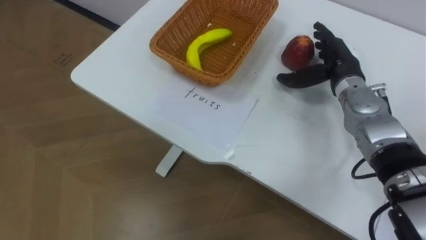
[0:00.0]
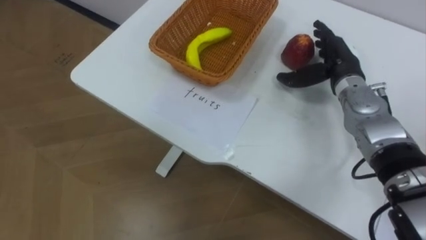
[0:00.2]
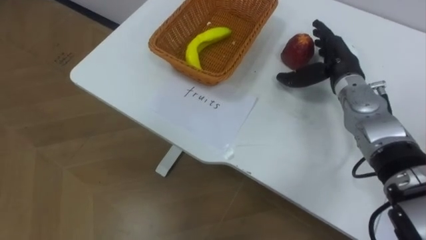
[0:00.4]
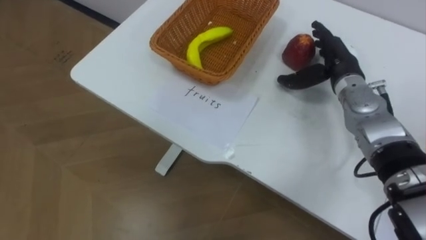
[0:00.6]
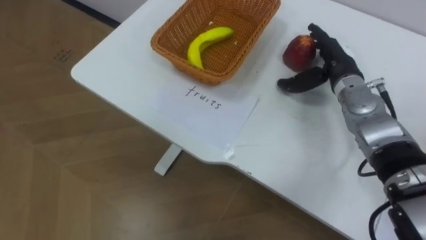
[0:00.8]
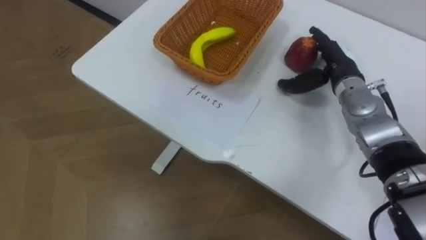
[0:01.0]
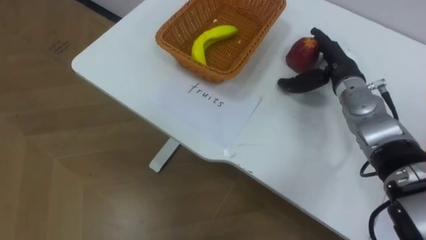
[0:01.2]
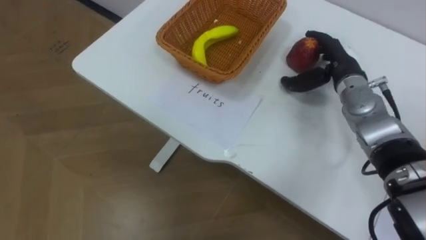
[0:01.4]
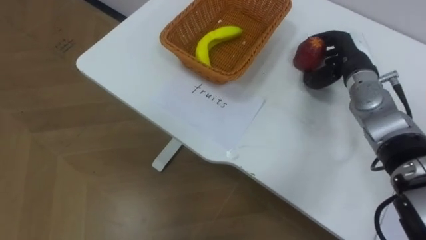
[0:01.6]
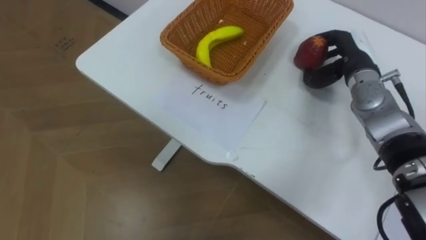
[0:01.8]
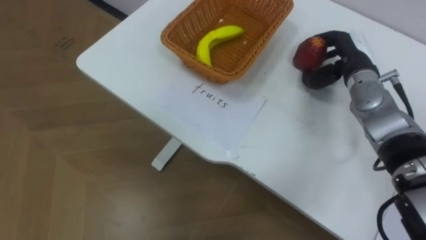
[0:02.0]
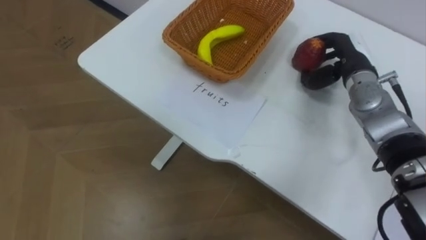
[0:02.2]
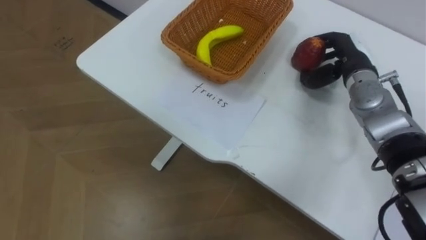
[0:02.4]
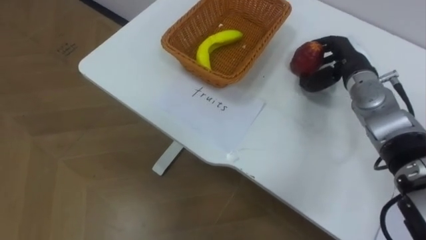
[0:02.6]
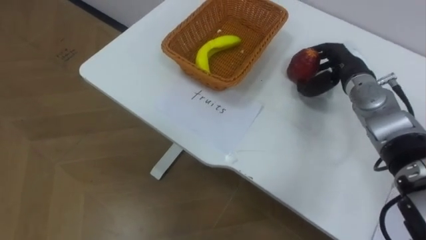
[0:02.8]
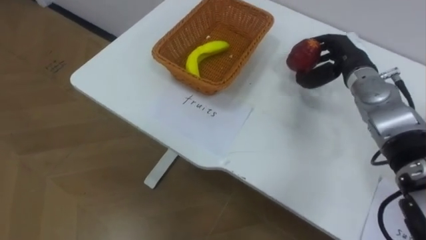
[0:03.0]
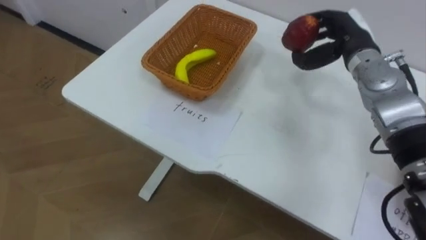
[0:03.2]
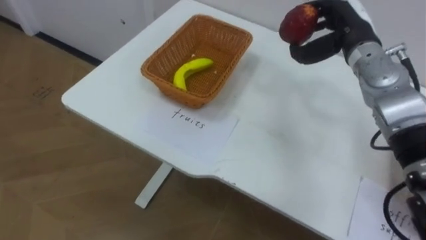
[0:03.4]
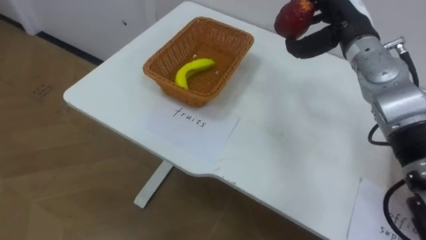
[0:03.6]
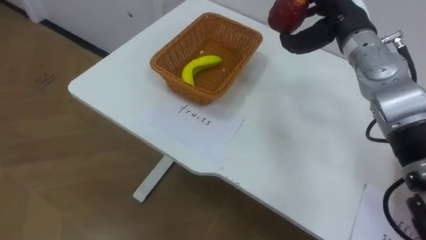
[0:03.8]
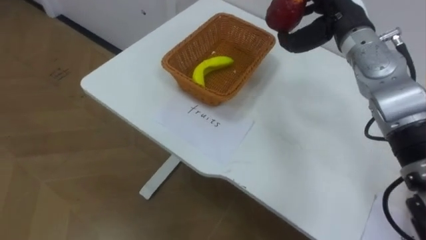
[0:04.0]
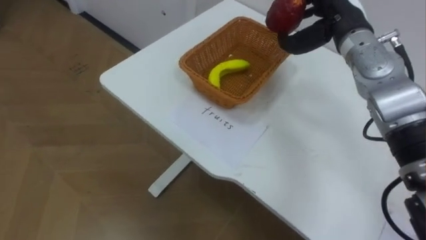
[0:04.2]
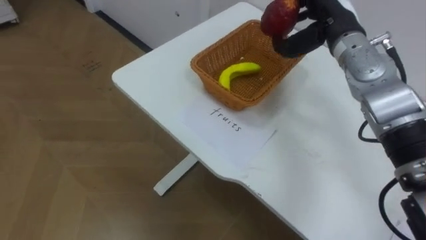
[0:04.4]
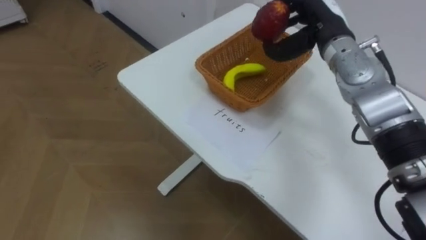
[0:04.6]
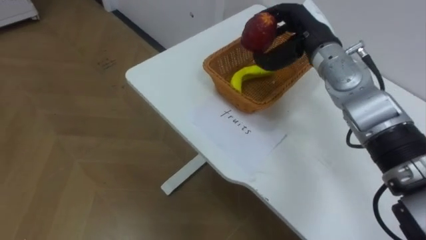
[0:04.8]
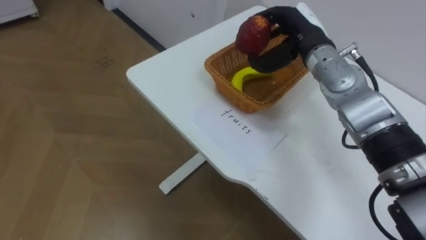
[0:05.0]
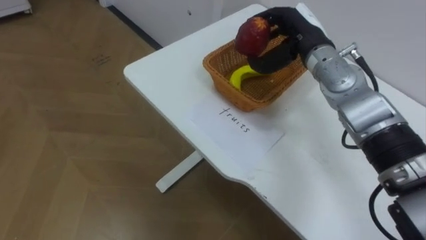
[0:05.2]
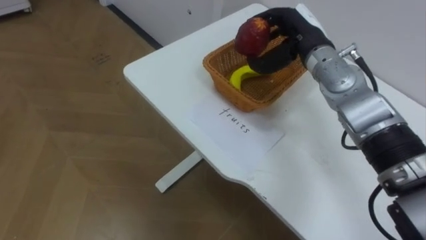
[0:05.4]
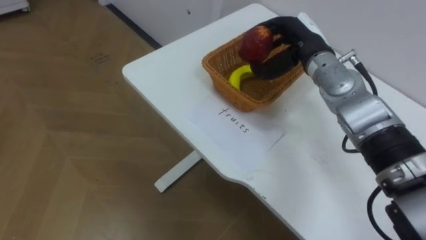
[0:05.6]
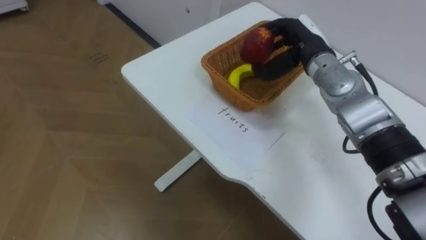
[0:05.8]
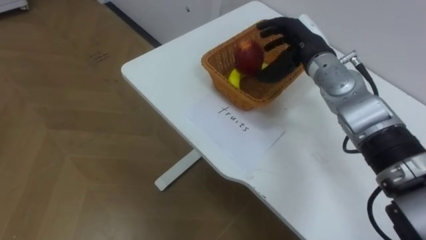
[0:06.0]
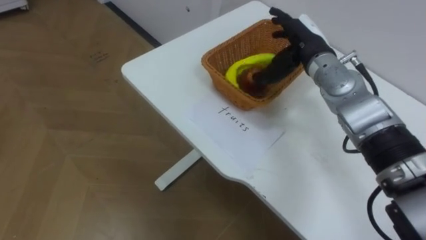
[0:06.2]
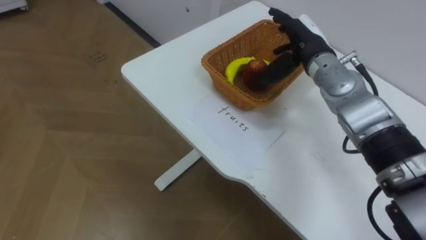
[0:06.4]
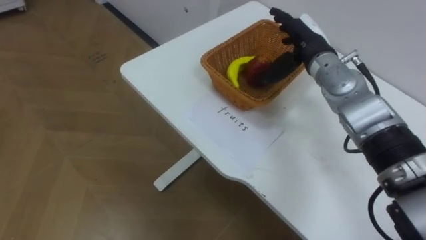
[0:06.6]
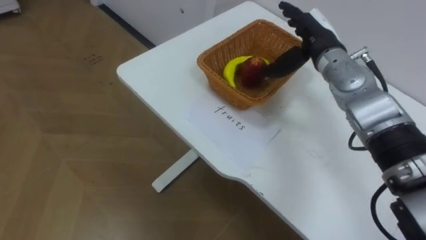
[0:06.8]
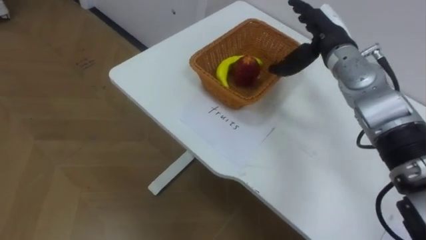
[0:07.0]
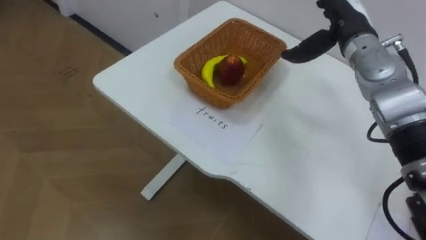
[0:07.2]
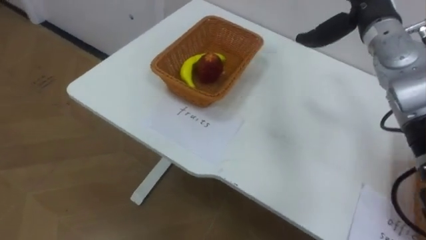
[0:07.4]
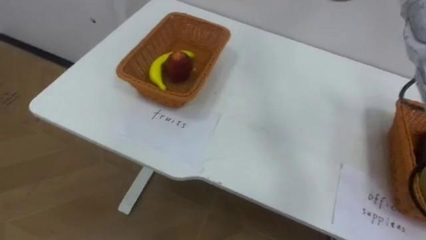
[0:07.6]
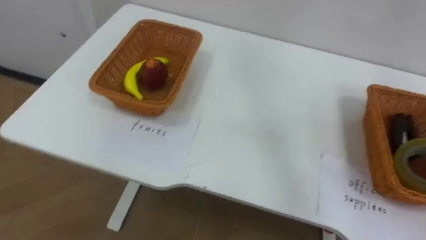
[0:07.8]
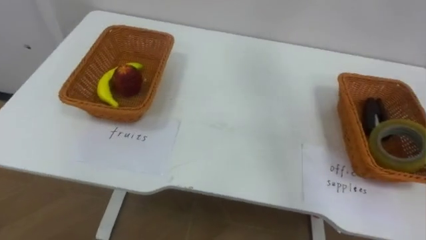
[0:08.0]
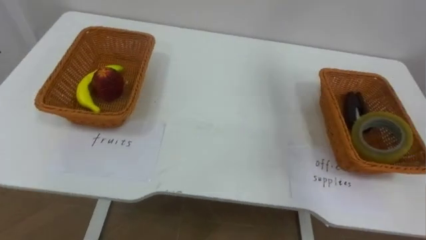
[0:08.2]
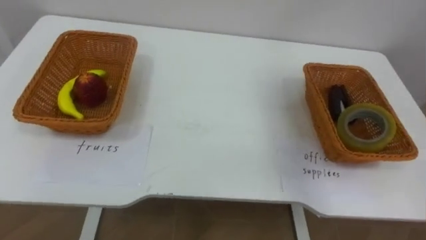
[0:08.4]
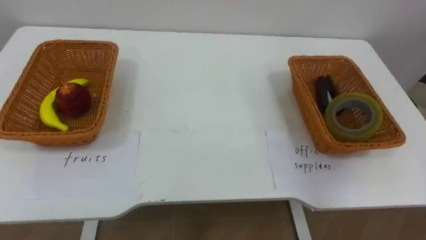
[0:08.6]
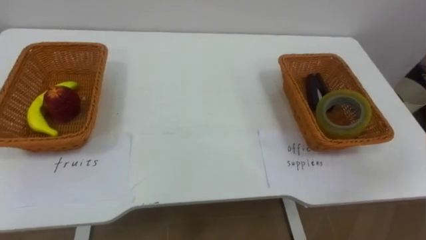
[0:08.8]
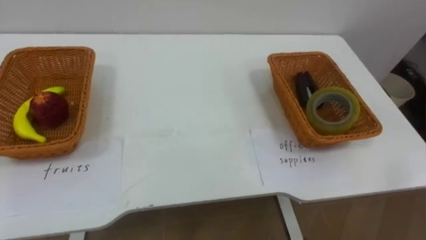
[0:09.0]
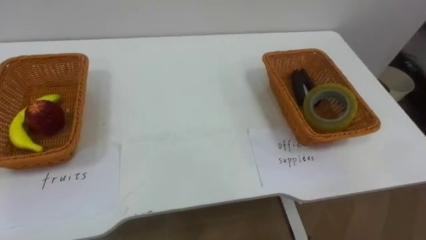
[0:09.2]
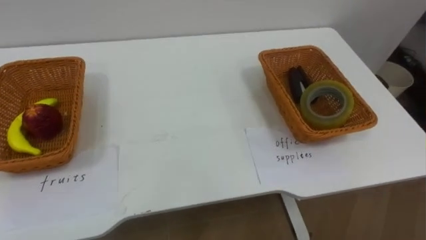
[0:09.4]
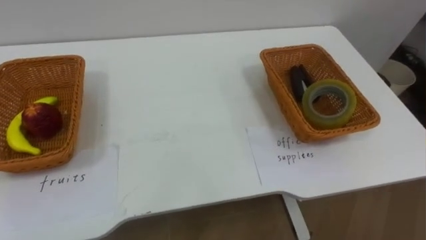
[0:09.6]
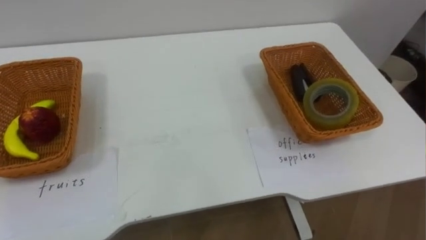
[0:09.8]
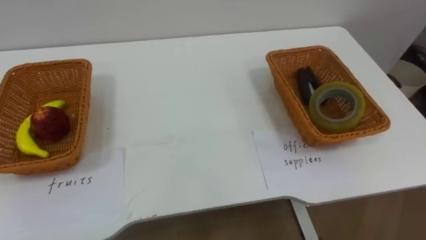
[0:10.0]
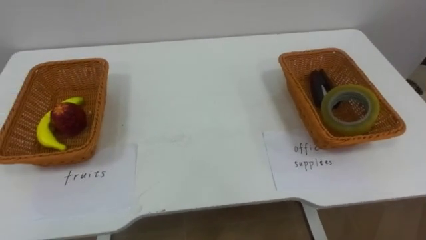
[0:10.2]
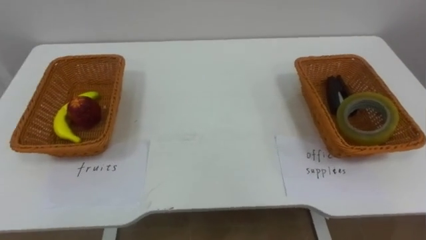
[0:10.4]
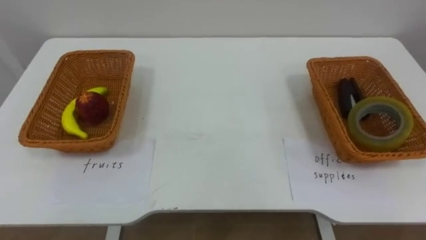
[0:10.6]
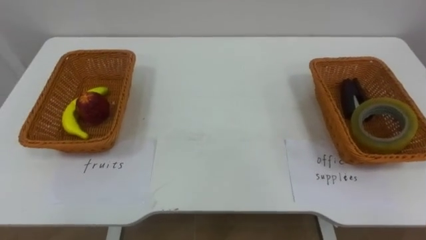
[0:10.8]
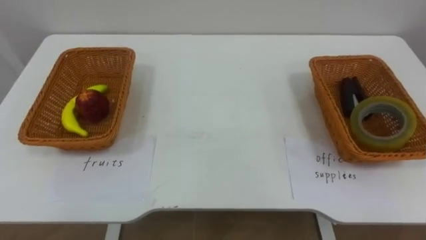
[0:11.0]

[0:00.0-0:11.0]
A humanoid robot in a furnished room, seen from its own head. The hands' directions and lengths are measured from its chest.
Task of the whole recording: Separate the items on the table and place them into the two baskets.
0:00.0 to 0:01.6: The right hand closes up.
0:03.2 to 0:04.8: The right hand shifts some 10 cm to the left.
0:04.8 to 0:06.2: The right hand opens its fingers.

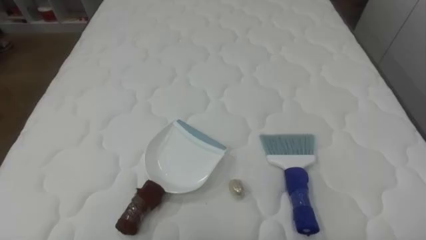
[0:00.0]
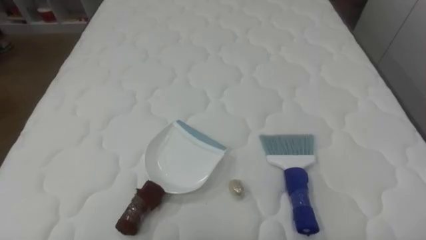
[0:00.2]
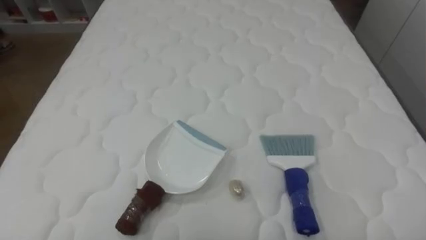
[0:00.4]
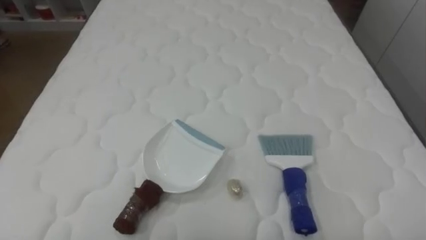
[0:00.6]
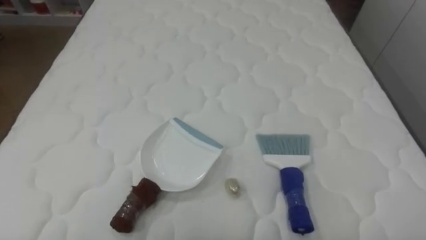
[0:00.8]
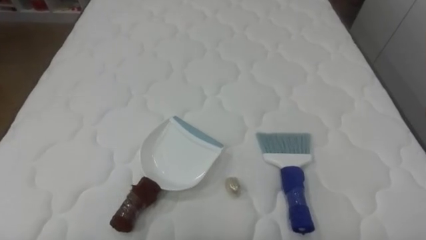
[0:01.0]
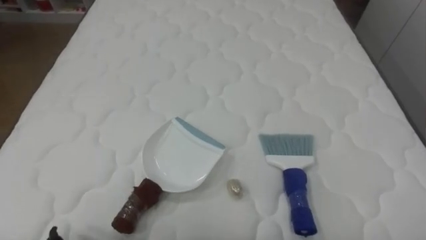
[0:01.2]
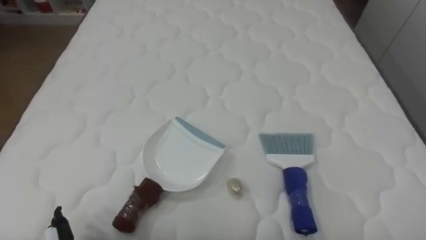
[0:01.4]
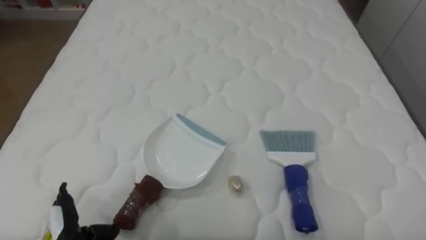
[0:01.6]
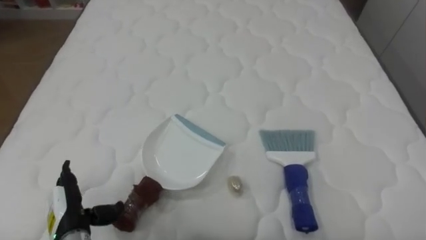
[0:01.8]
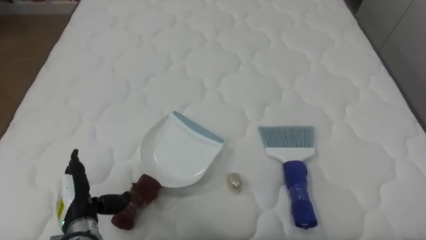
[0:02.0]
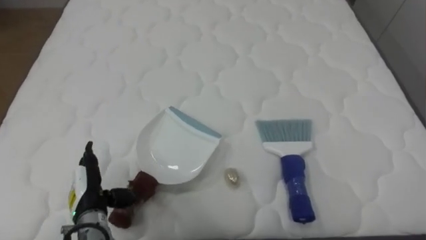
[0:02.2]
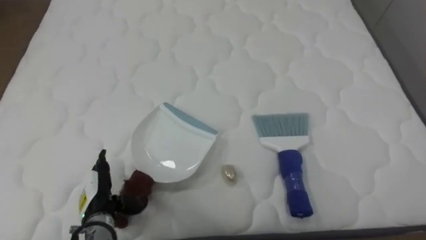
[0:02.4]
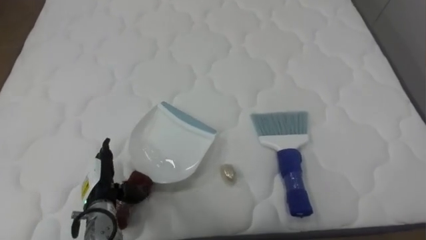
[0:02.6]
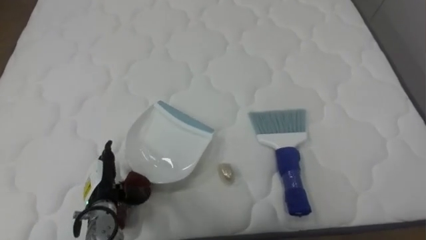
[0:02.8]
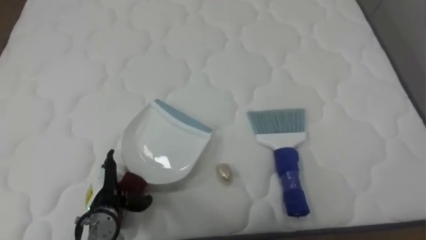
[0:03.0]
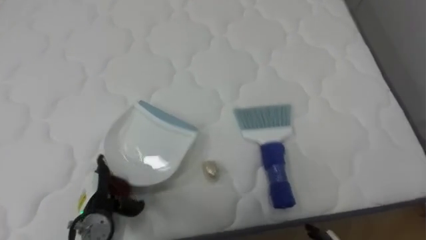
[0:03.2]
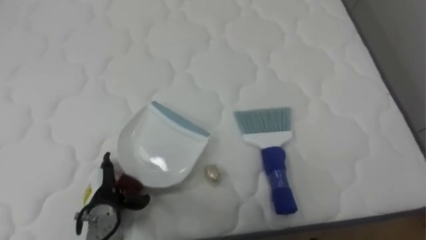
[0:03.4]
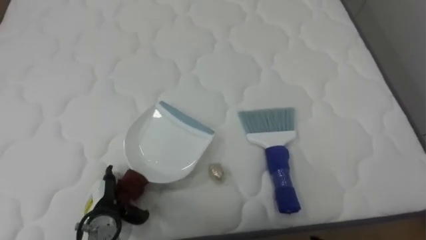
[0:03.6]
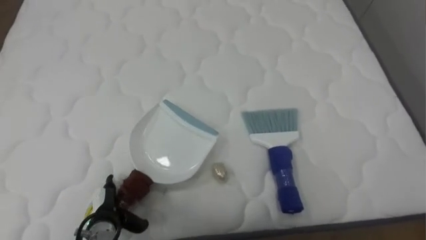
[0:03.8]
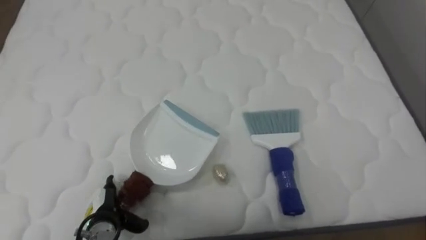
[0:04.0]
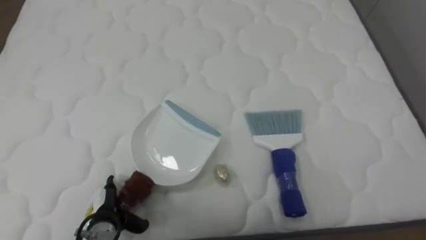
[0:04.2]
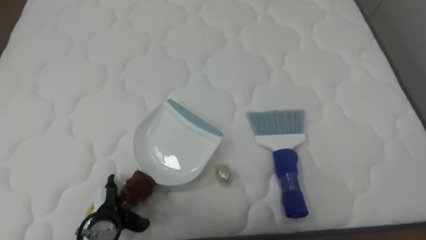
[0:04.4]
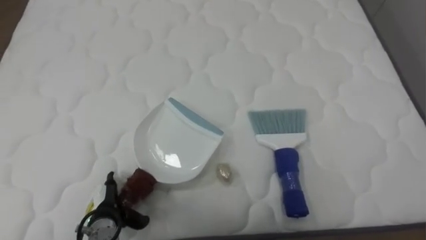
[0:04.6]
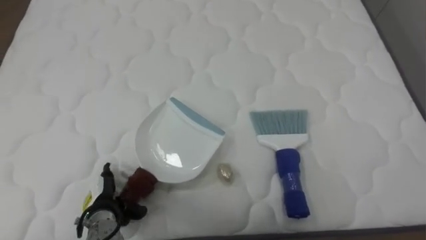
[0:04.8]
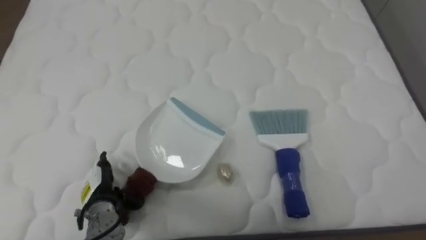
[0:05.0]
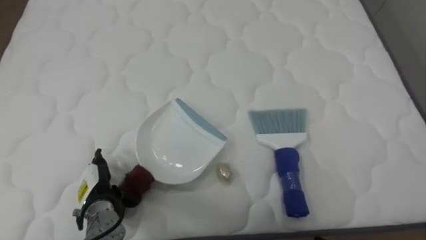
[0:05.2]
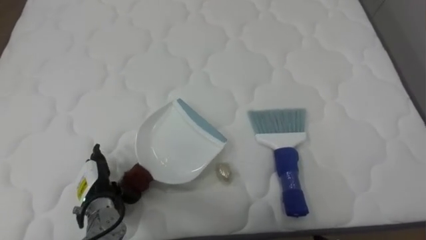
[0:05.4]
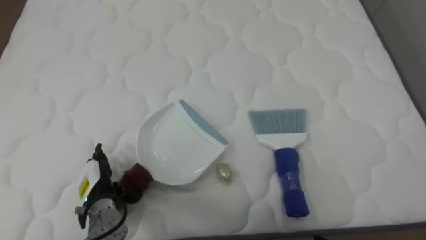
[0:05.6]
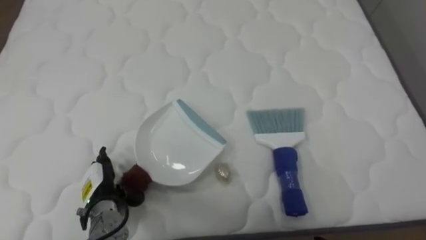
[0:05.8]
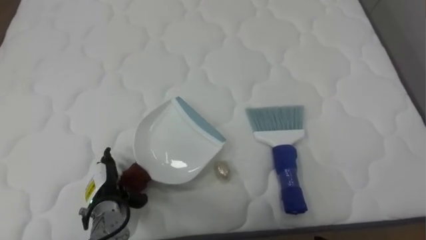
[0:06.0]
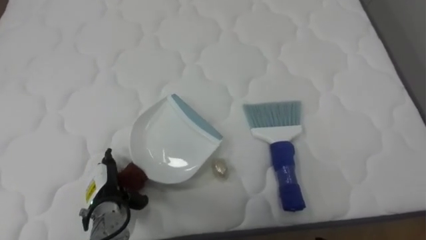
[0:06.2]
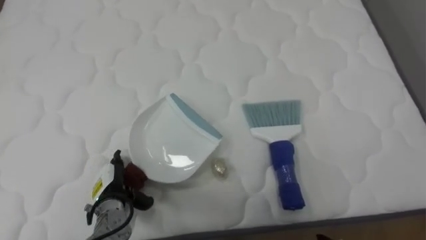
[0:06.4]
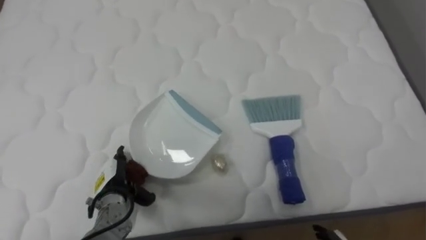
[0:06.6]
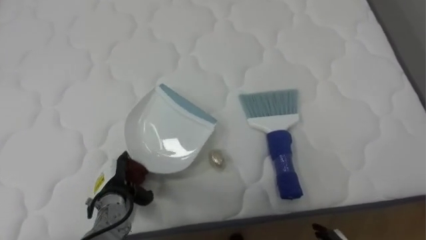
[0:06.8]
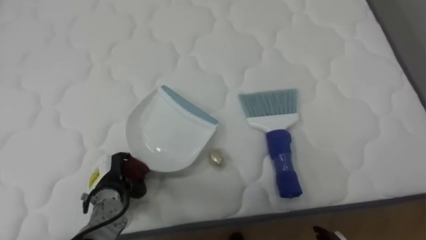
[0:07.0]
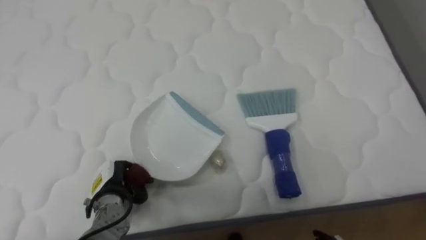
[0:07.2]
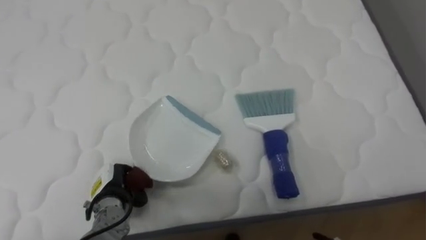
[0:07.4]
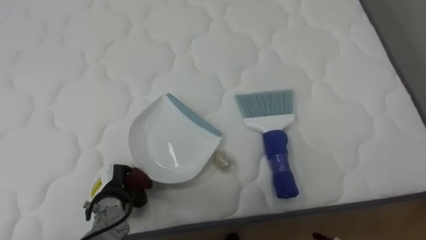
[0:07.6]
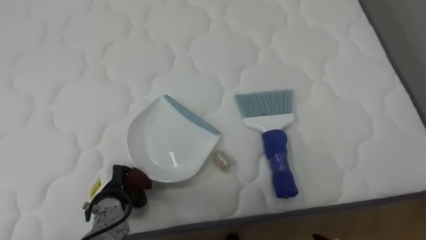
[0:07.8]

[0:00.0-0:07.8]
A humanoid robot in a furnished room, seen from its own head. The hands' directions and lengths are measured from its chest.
Task of the whole recording: Pick up the brush on your right and the dustpan on your left. Use the brush to sweep the crumpled paper on the bed into the dustpan, then turn left and empty it into the basket.
0:01.6 to 0:03.2: The left hand goes some 5 cm forward.
0:06.2 to 0:07.8: The left hand closes.
